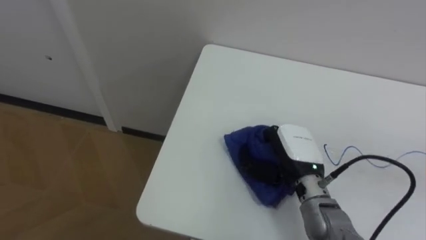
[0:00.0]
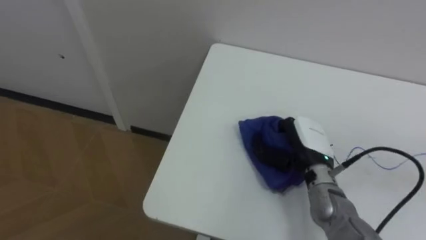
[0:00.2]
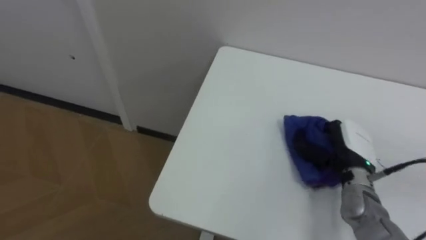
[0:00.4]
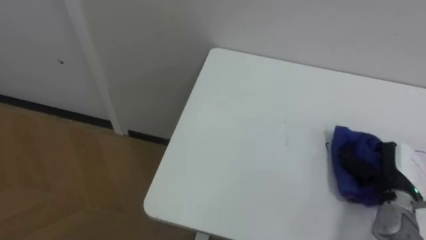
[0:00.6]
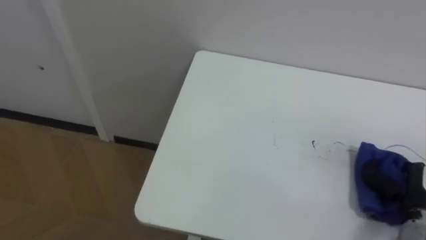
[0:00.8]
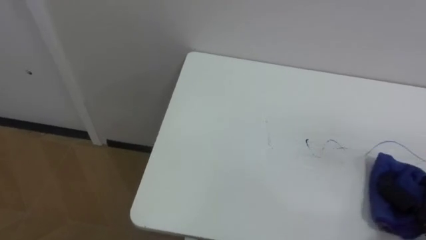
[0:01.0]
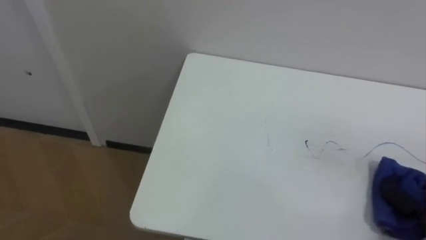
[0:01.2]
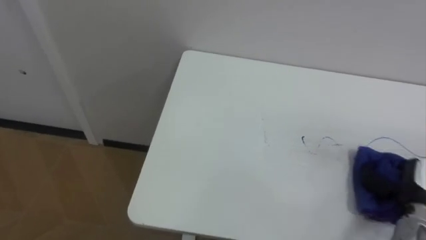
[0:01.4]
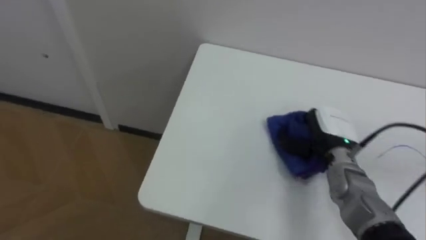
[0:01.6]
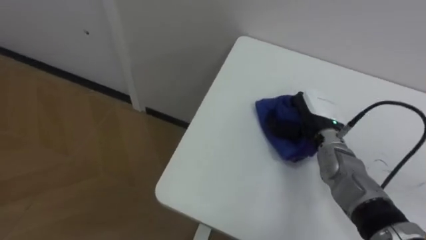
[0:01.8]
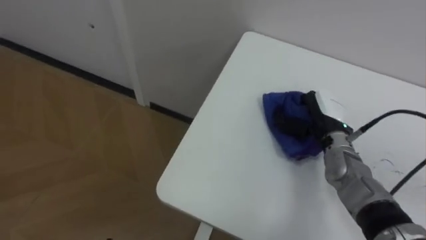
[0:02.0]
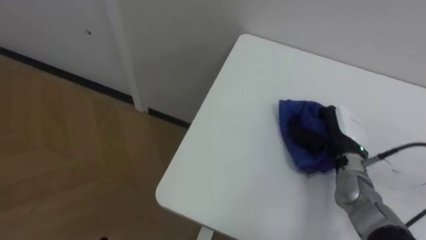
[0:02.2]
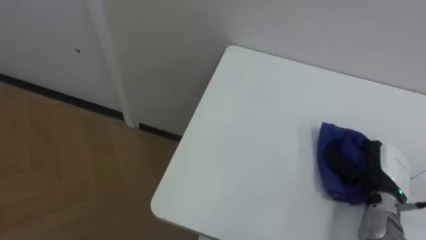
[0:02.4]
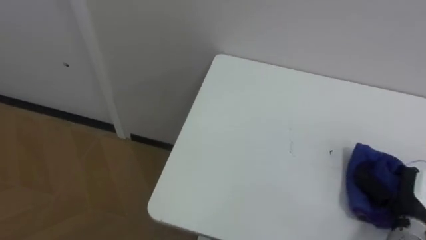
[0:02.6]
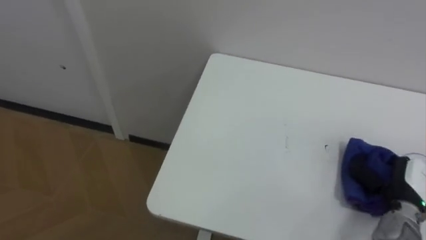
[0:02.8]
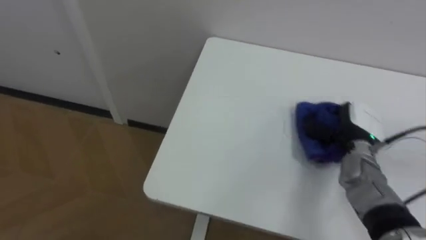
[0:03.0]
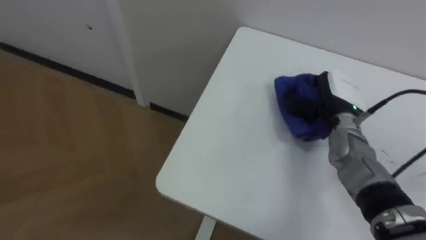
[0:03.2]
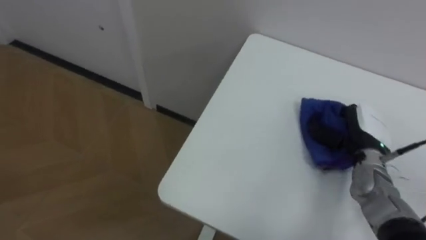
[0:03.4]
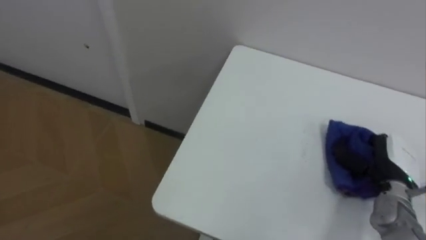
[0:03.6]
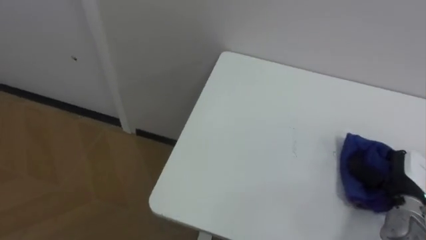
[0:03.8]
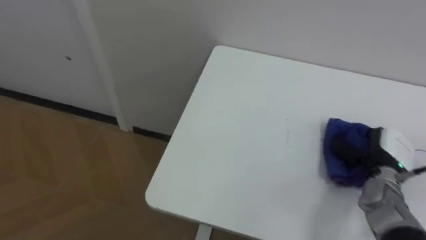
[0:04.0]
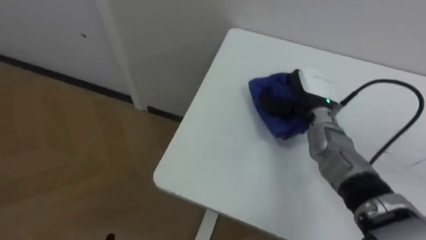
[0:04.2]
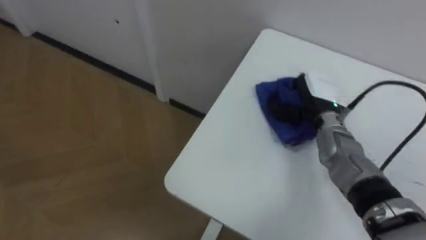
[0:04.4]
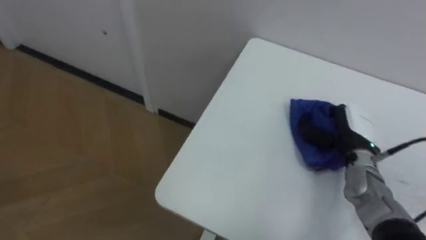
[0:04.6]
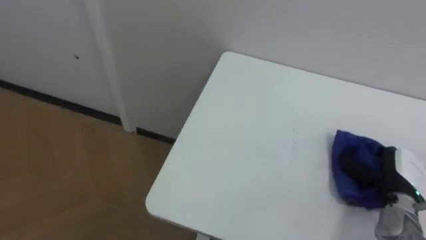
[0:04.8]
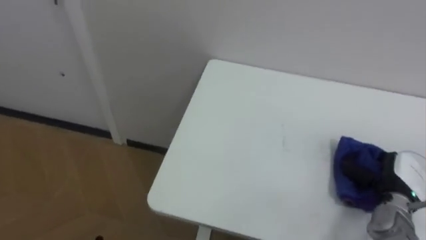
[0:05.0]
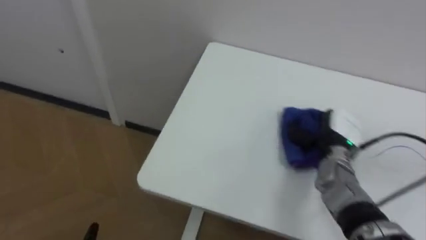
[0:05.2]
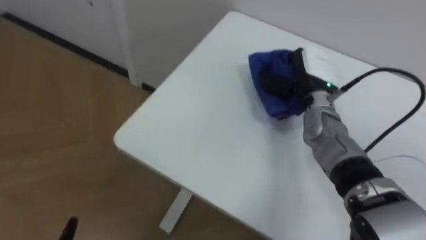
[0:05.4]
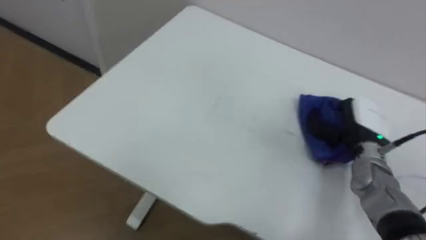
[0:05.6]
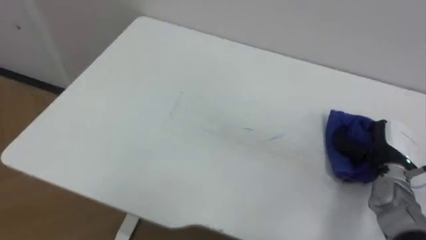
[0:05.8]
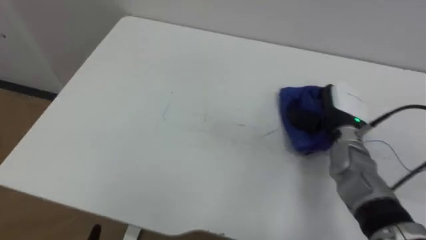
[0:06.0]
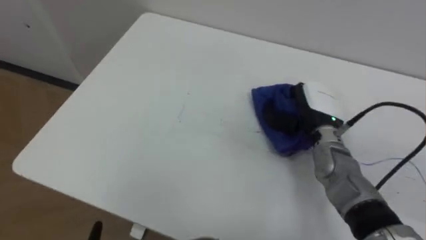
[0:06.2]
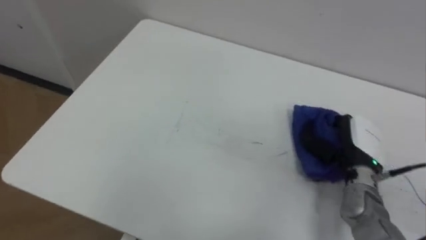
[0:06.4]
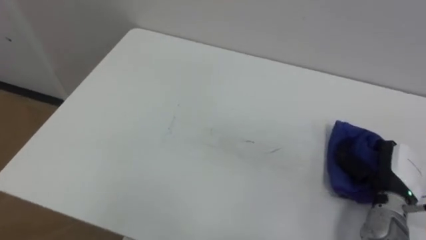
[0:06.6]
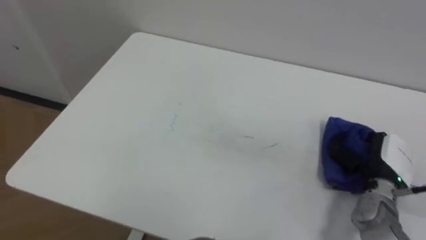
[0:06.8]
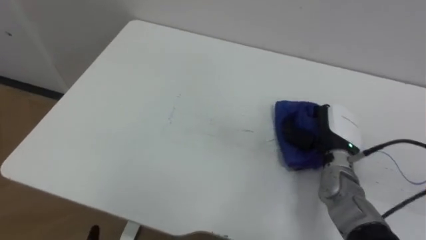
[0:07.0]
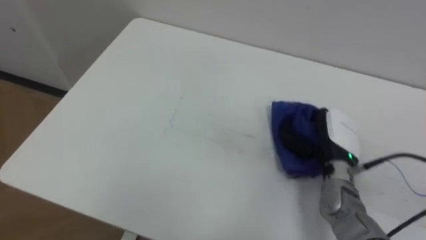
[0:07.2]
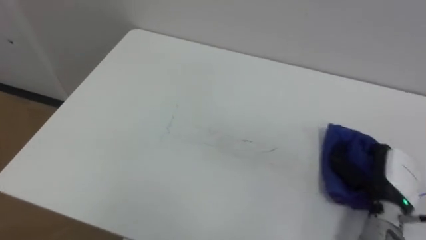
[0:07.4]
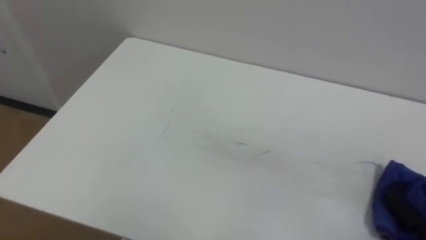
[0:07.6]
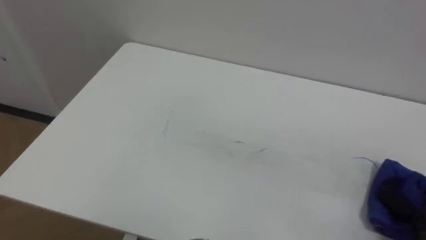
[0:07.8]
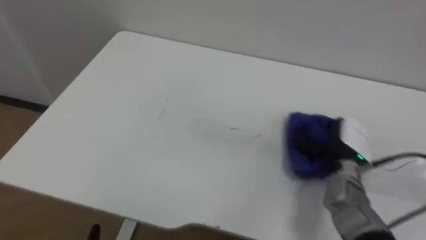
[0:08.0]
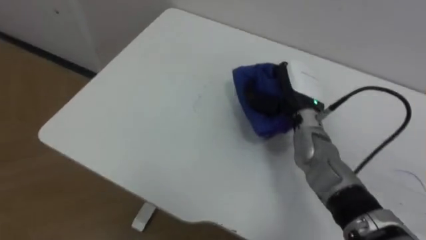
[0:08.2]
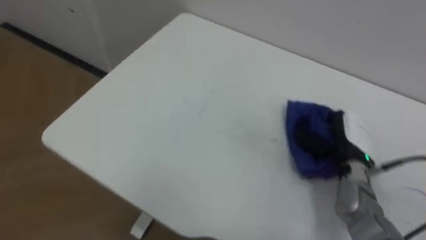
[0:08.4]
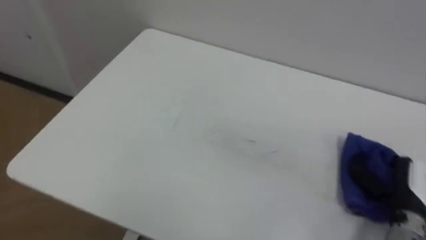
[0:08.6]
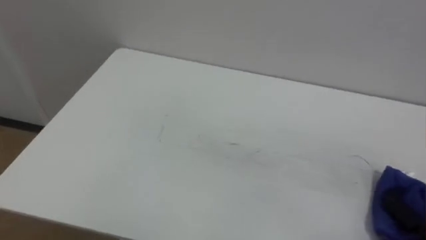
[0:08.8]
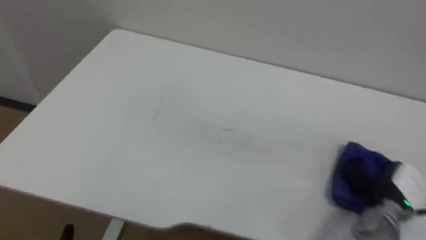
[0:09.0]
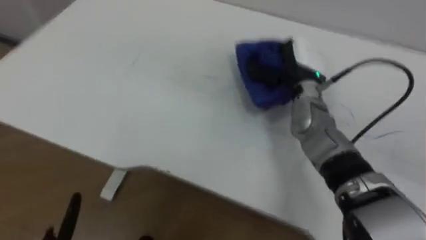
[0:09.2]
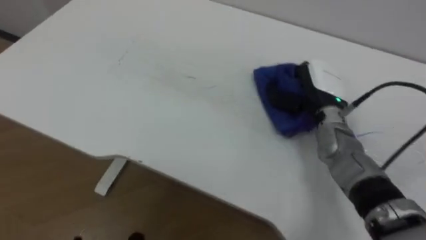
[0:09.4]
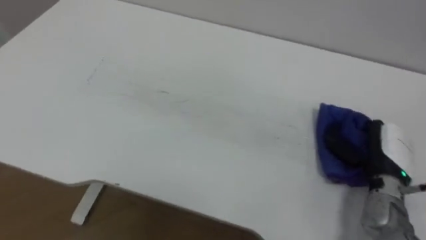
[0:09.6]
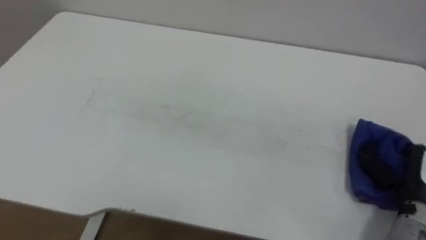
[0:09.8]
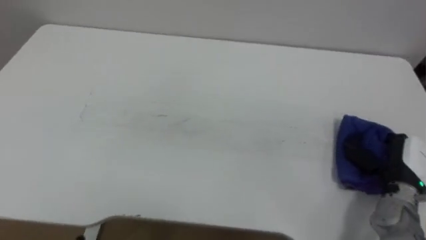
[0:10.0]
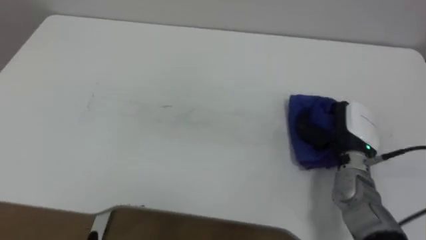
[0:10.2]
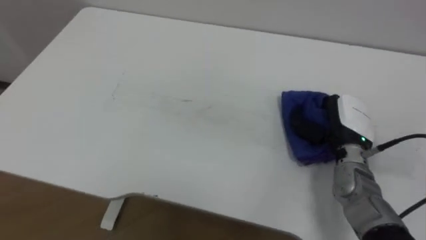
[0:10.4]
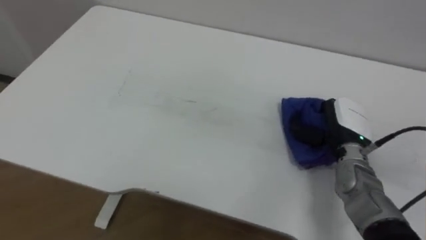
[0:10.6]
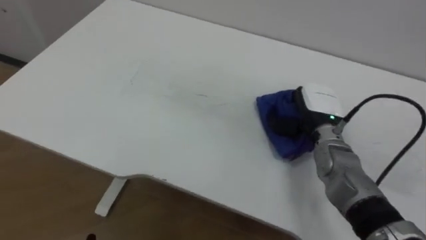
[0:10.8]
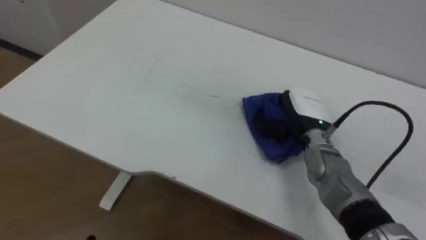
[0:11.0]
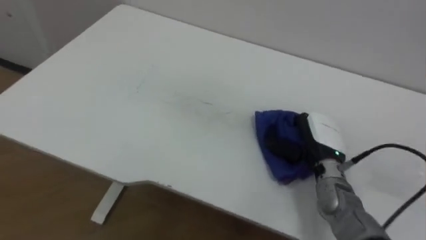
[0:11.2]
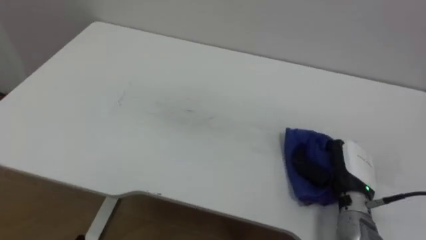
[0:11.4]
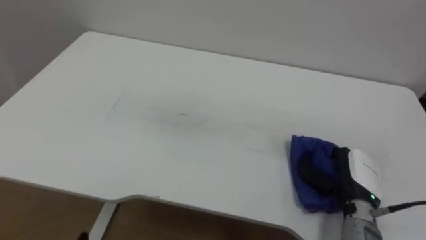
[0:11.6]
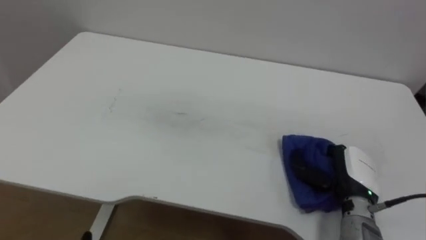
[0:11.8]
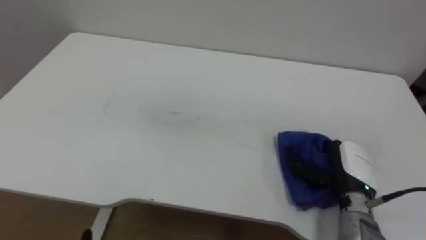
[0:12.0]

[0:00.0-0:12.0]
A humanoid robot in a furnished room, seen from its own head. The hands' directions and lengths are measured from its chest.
Task of the whole recording: Wipe the blue pen marks off the table with the rag.
0:01.6 to 0:03.0: The right hand moves about 15 cm to the right and comes back.
0:03.0 to 0:04.4: The right hand goes left and right, approximately 20 cm each way, reversing 2 times.
0:04.4 to 0:06.0: The right hand goes forward and backward, approximately 15 cm each way, reversing 3 times.
0:09.0 to 0:10.4: The right hand swings left and right, approximately 20 cm each way, with 2 reversals.
0:10.4 to 0:12.0: The right hand heads backward and downward, covering approximately 10 cm.

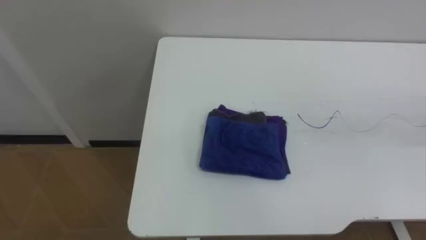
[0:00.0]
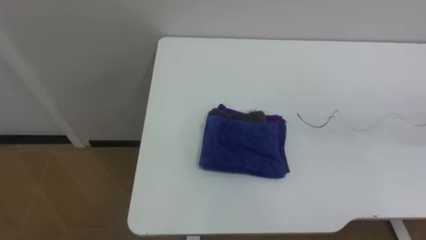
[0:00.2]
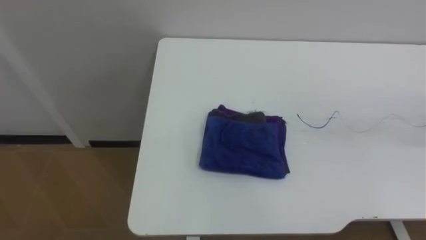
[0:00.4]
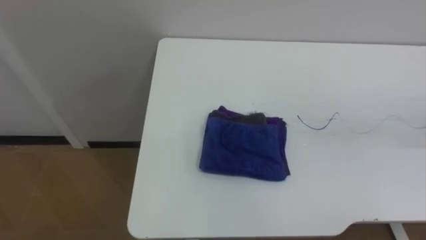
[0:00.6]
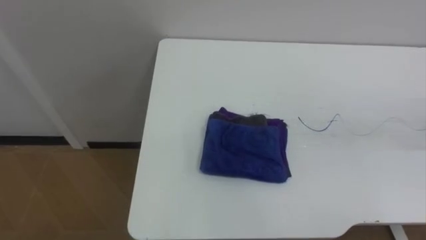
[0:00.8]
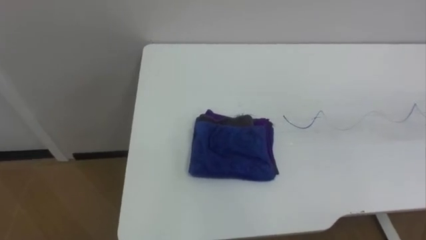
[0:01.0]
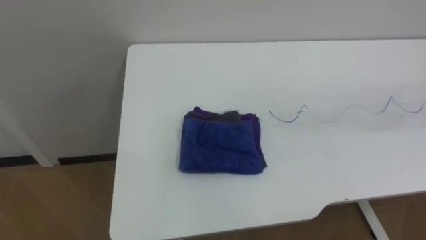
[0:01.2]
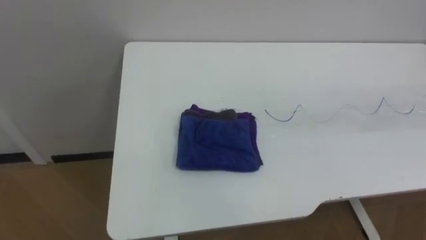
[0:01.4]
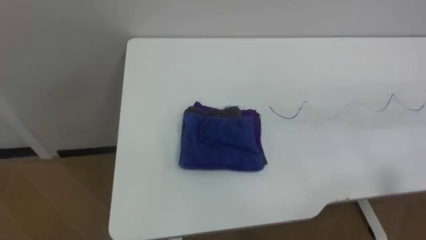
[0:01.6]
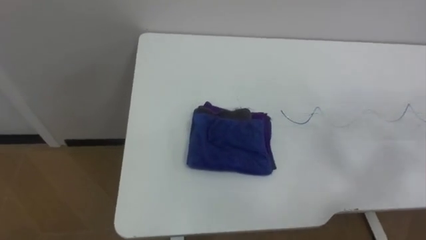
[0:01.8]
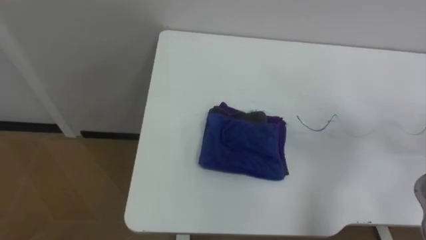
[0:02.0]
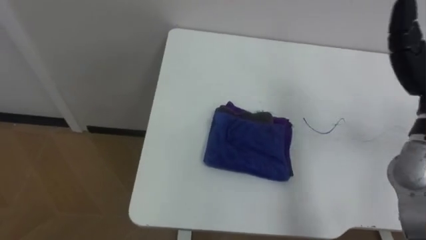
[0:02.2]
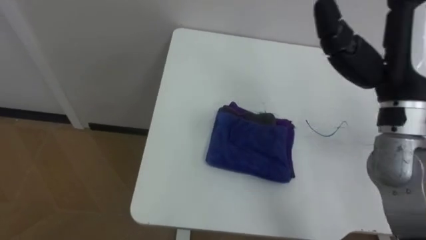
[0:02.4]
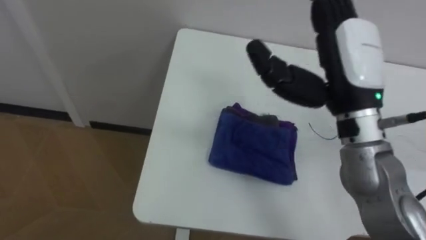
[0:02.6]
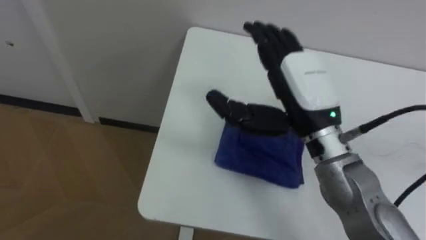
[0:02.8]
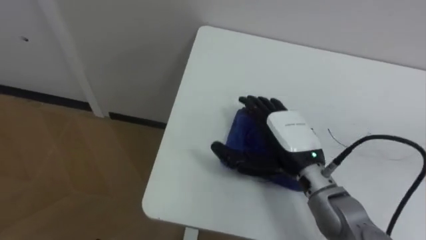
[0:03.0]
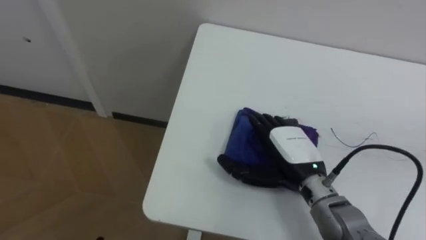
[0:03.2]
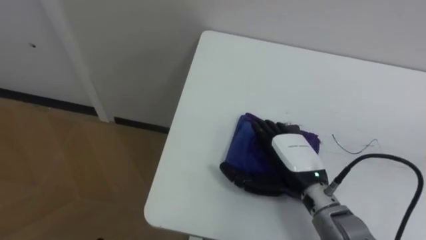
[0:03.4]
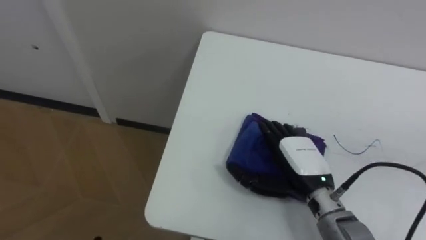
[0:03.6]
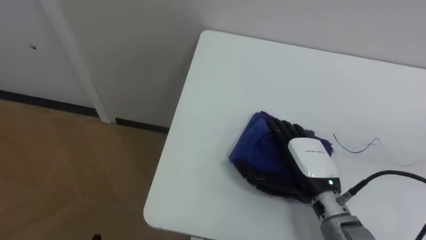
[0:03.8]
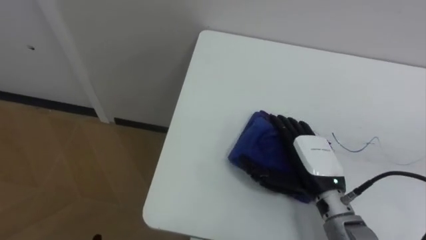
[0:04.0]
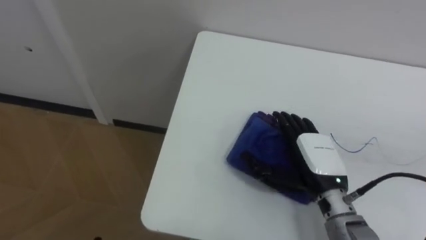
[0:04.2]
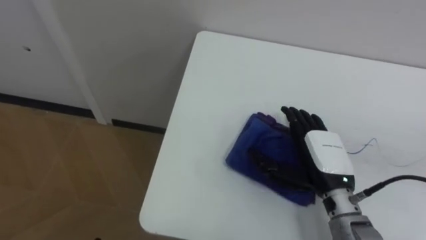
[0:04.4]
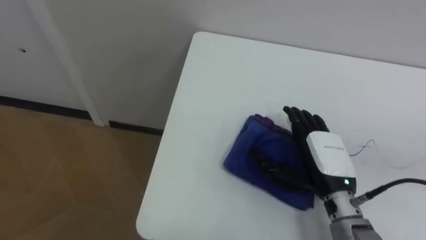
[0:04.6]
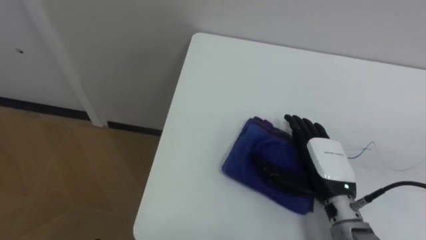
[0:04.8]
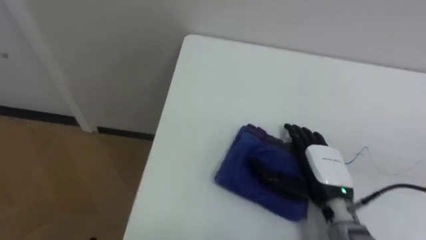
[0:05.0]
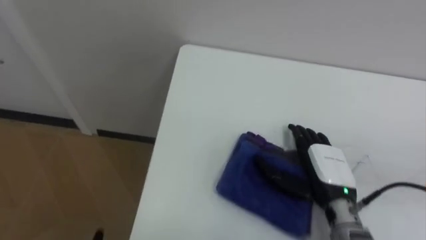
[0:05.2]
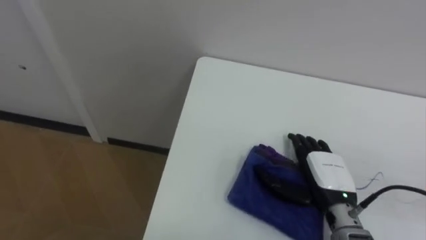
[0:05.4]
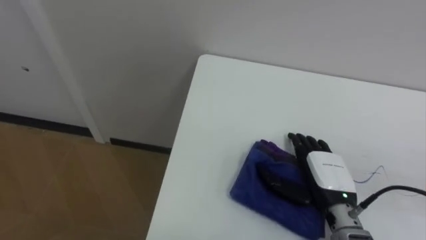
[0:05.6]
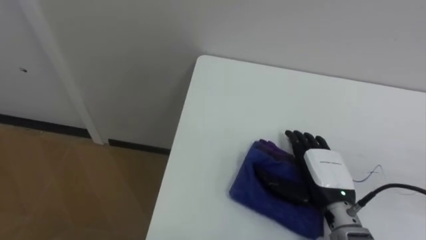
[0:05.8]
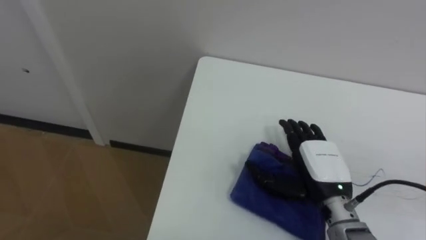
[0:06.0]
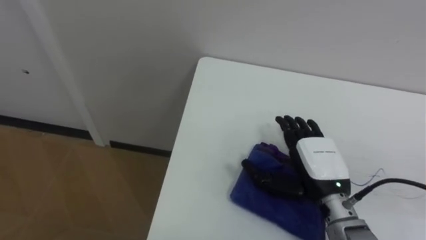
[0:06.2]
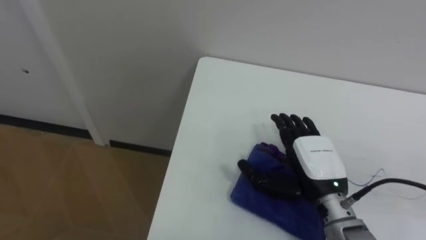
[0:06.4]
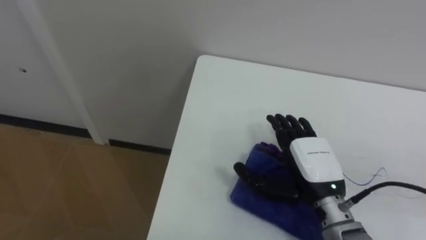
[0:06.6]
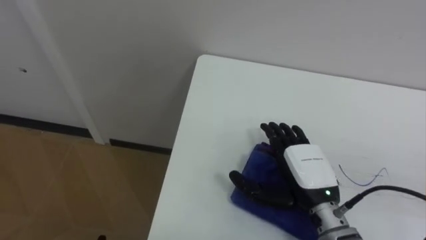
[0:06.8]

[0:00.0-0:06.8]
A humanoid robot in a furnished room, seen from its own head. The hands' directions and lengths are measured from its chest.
Task of the whole recording: Wipe the blue pen marks off the table with the rag.
0:02.8 to 0:04.0: The right hand shifts some 15 cm downward.
0:05.4 to 0:06.8: The right hand ends up approximately 5 cm from where it was.
